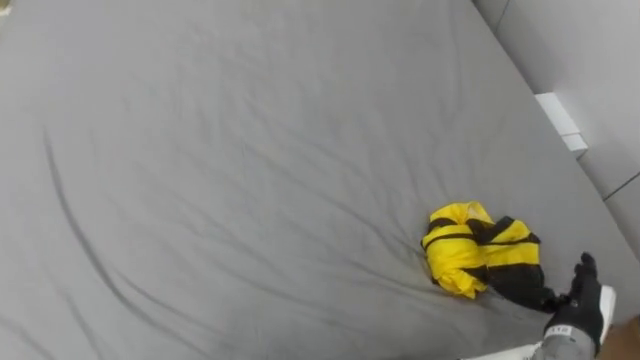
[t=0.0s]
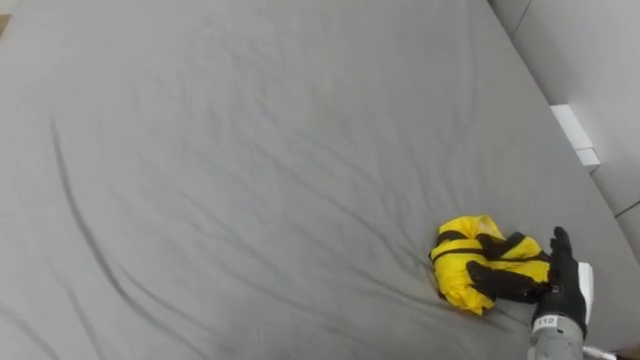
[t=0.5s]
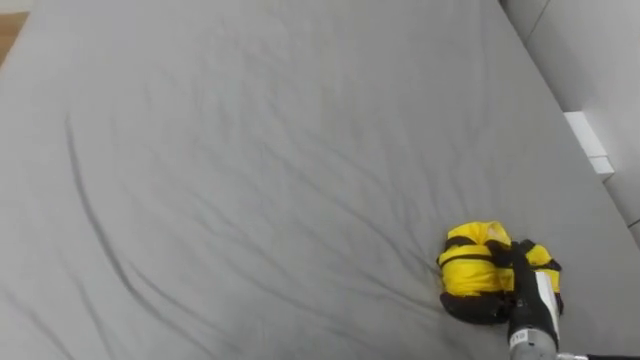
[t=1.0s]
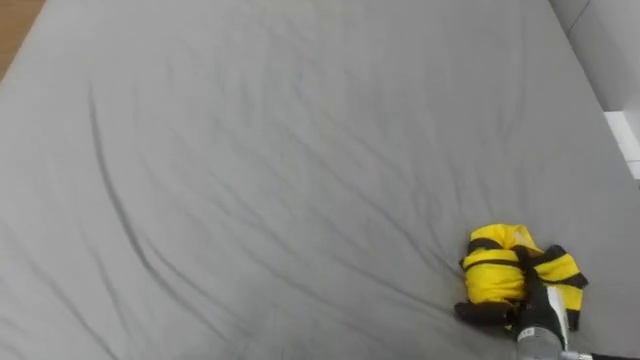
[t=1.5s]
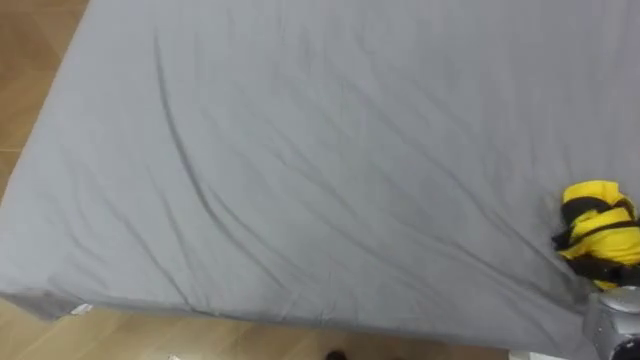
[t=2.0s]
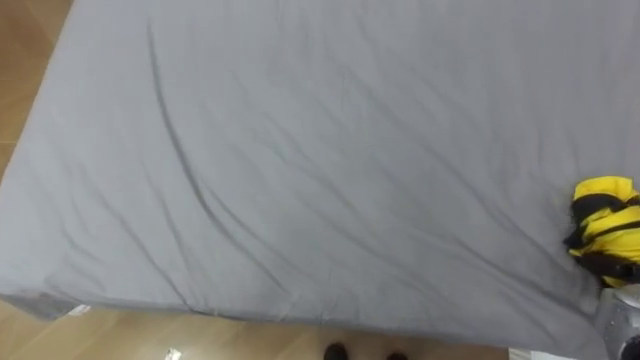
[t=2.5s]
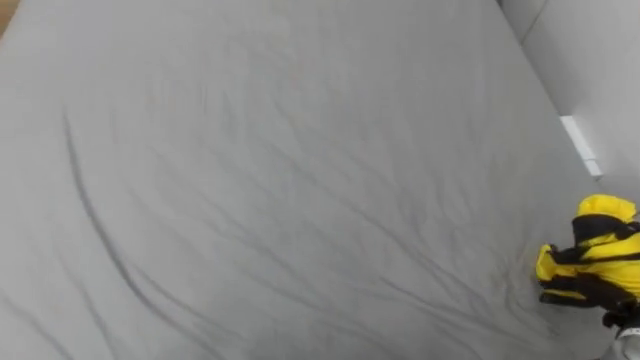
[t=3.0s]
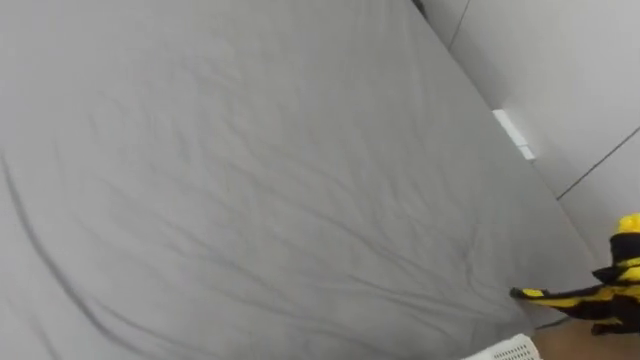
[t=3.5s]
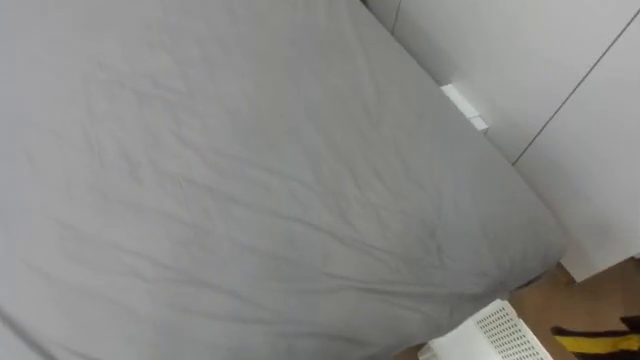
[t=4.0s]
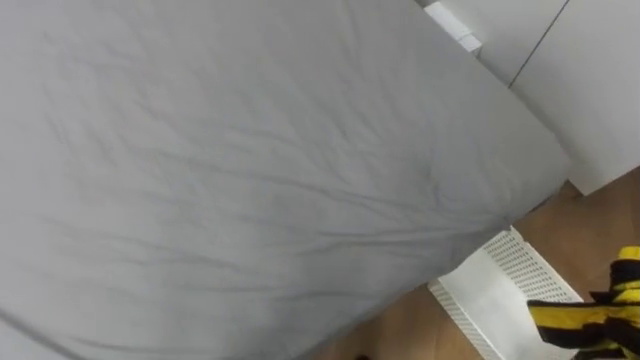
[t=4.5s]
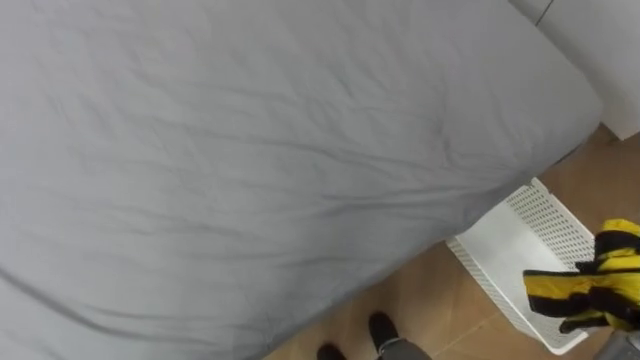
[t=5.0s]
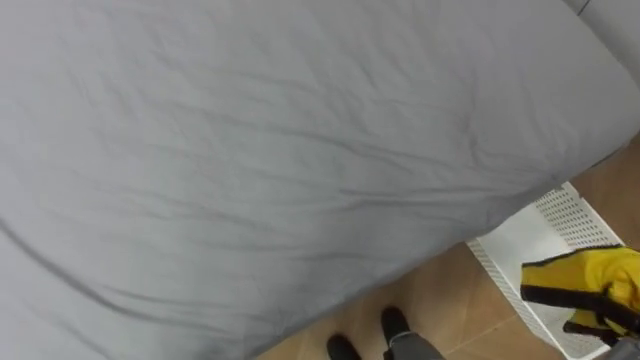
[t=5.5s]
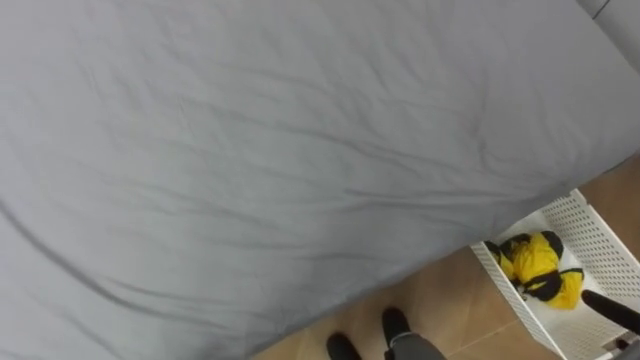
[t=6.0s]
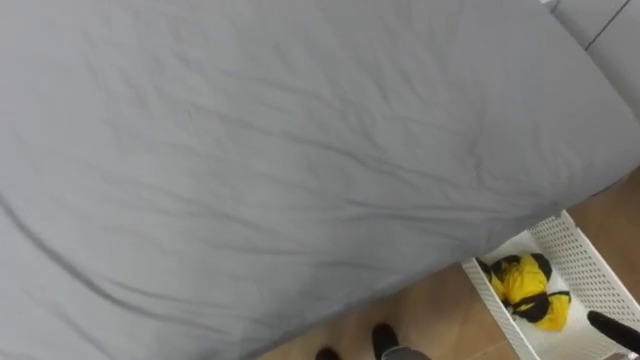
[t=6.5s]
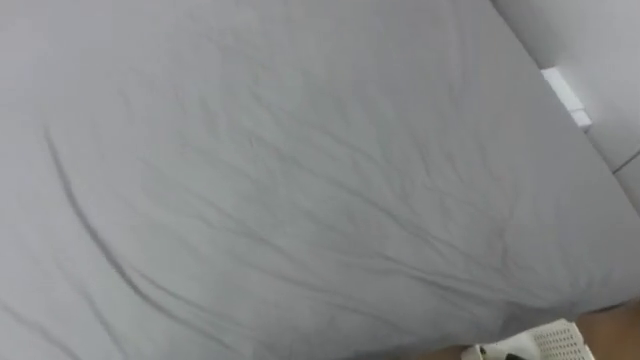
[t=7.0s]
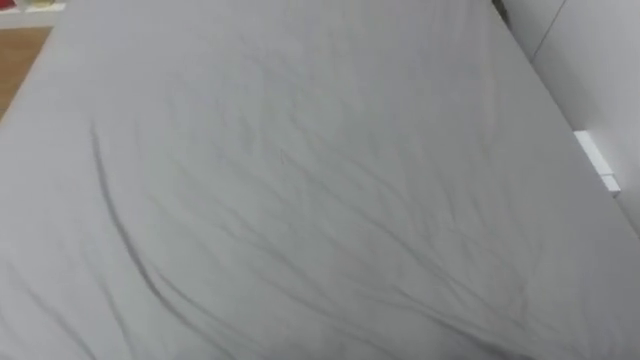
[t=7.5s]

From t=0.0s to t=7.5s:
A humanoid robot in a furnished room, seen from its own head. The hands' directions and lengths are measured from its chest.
Task of the whole recording: Pick up the yellow clothes on the bed and place them into the white basket on the right.
From t=0.0s to t=2.0s: The right hand is displaced to the right by approximately 10 cm, and closes its fingers.
From t=5.5s to t=7.5s: The robot faces about 15 degrees further to its left.

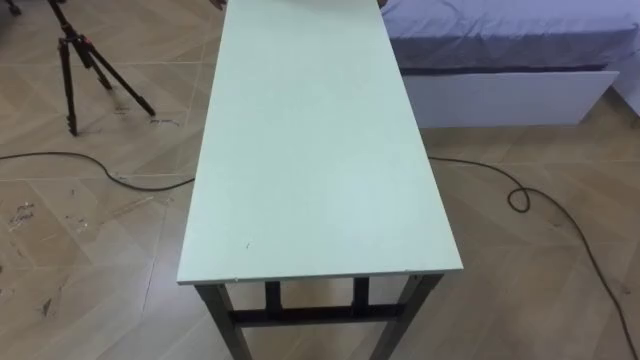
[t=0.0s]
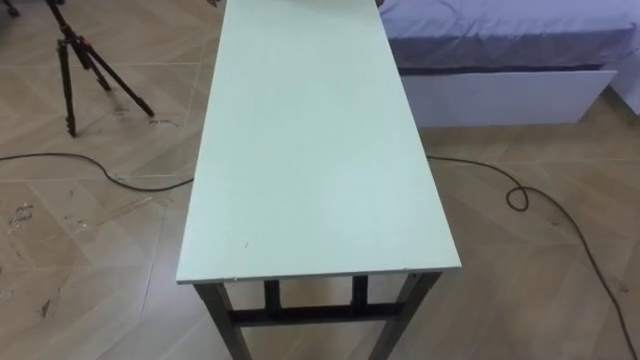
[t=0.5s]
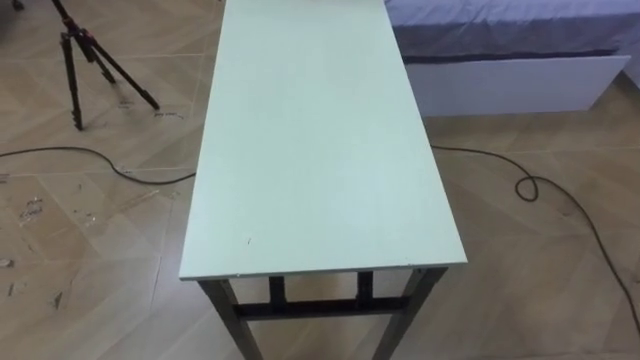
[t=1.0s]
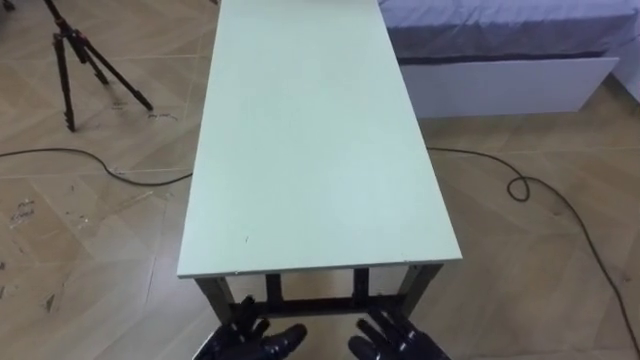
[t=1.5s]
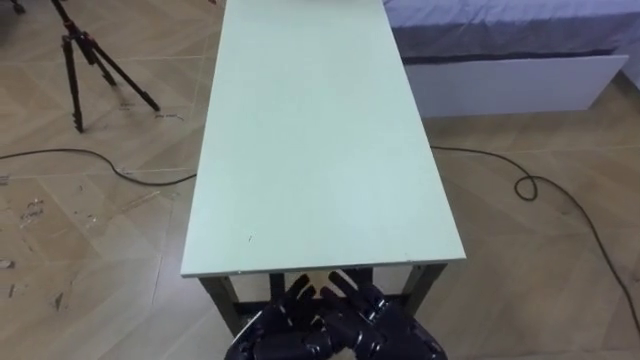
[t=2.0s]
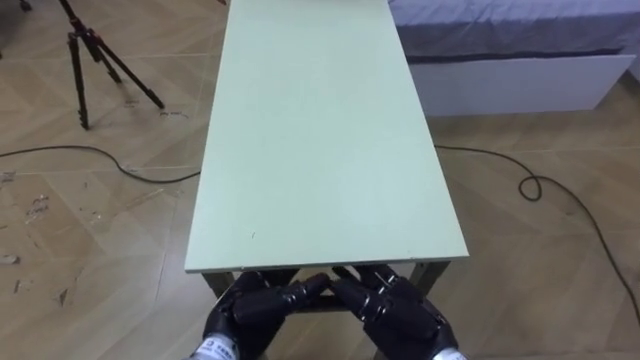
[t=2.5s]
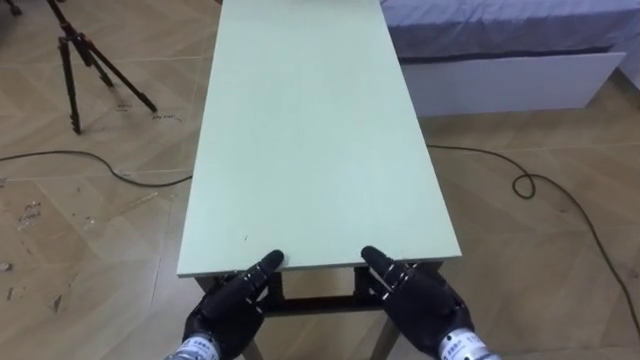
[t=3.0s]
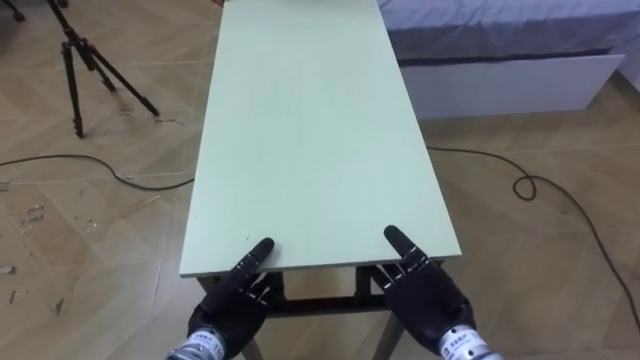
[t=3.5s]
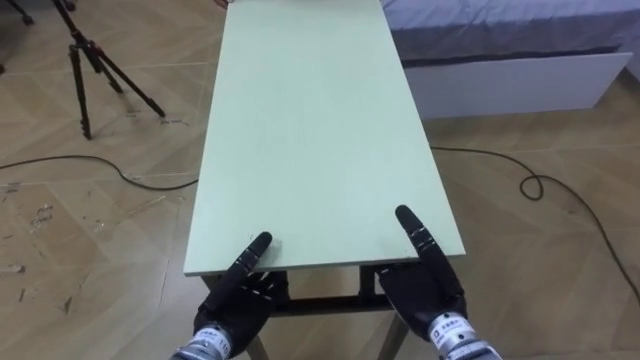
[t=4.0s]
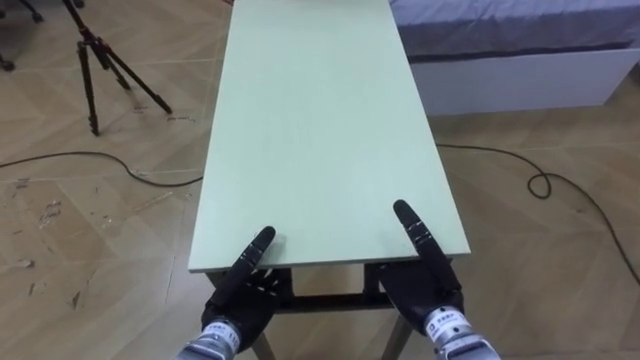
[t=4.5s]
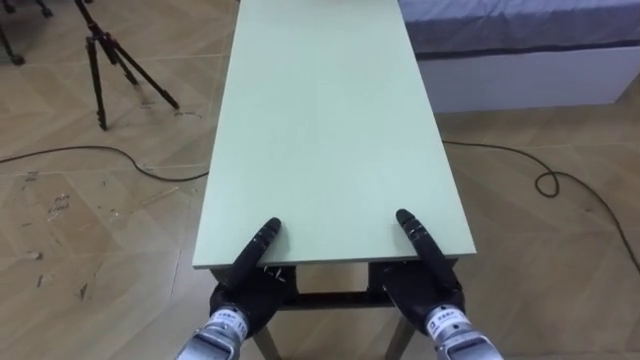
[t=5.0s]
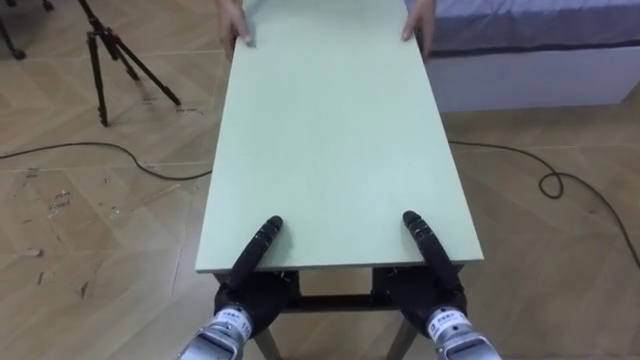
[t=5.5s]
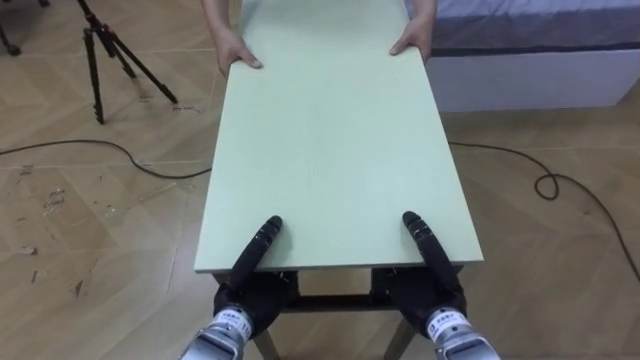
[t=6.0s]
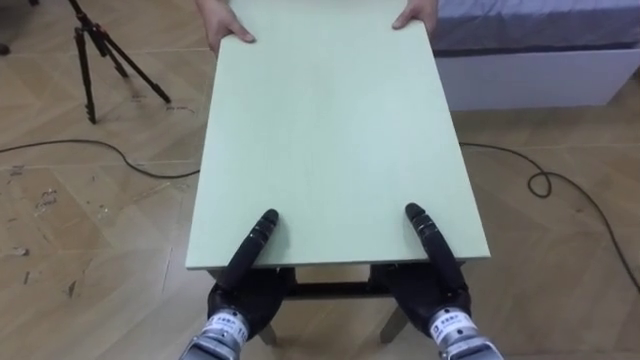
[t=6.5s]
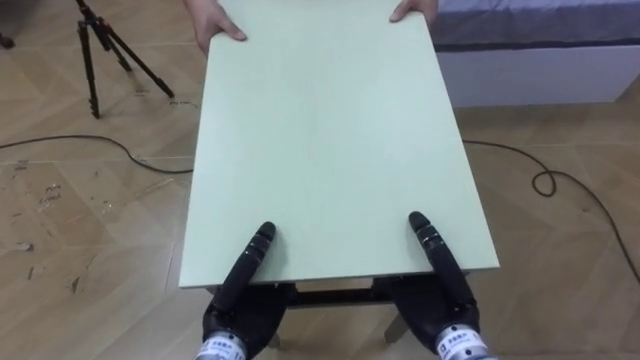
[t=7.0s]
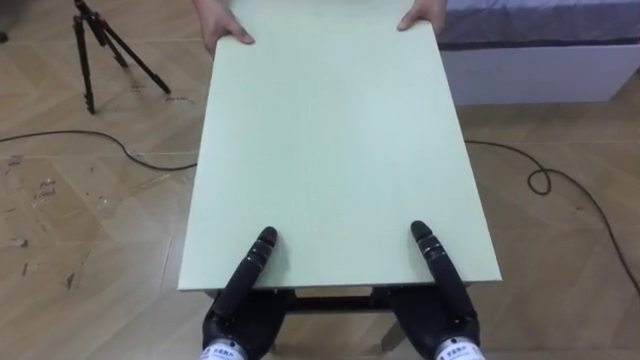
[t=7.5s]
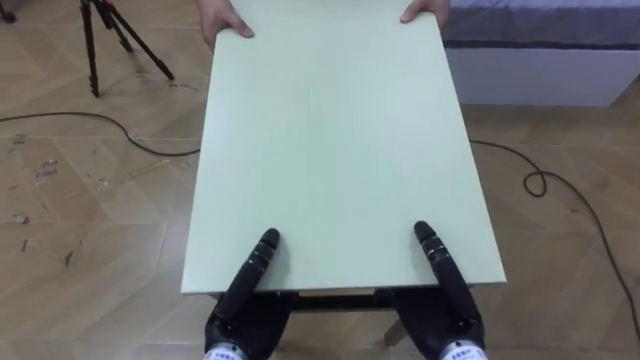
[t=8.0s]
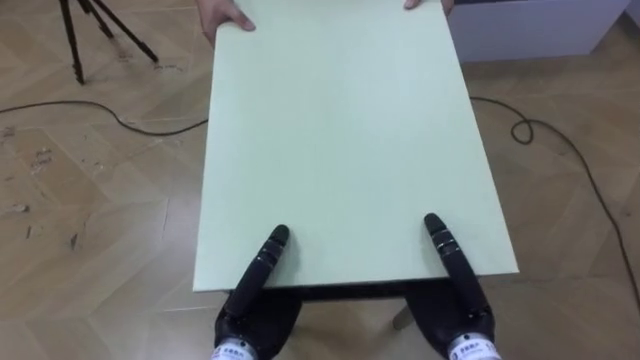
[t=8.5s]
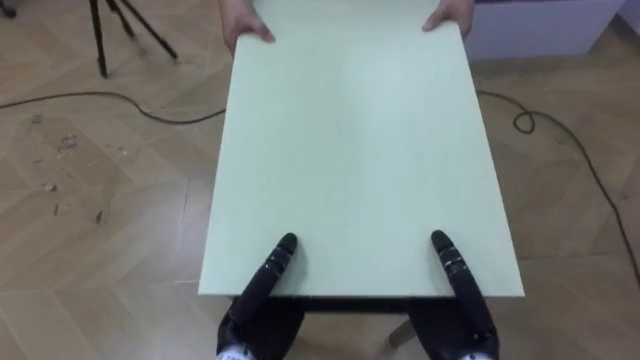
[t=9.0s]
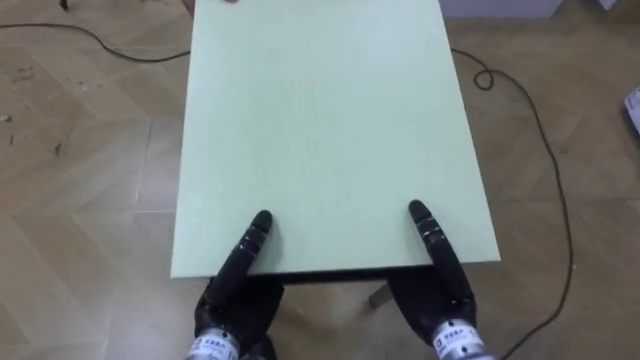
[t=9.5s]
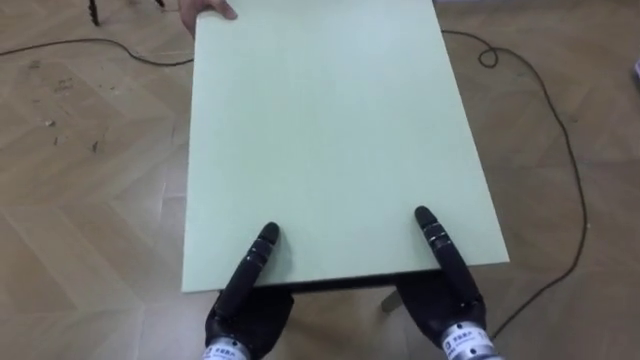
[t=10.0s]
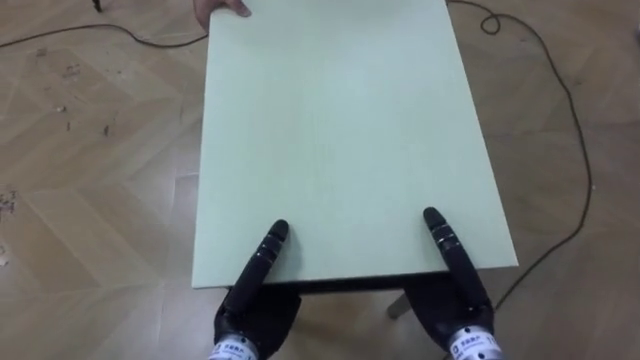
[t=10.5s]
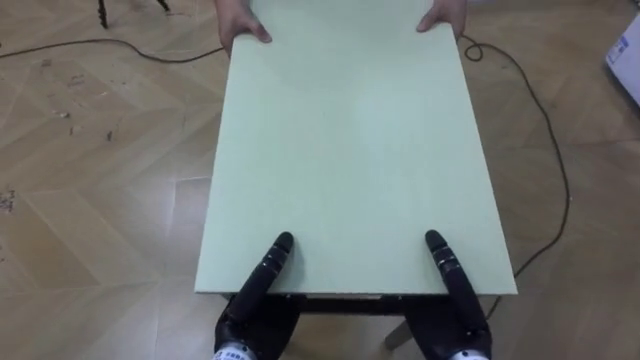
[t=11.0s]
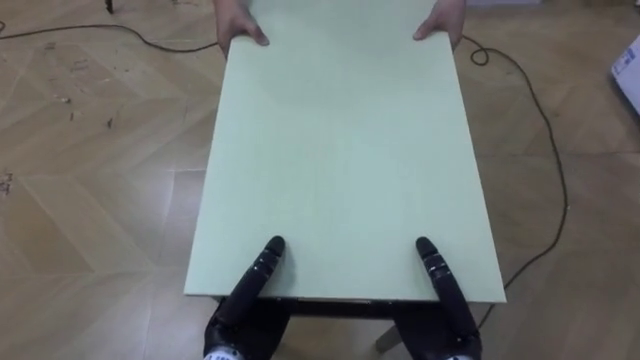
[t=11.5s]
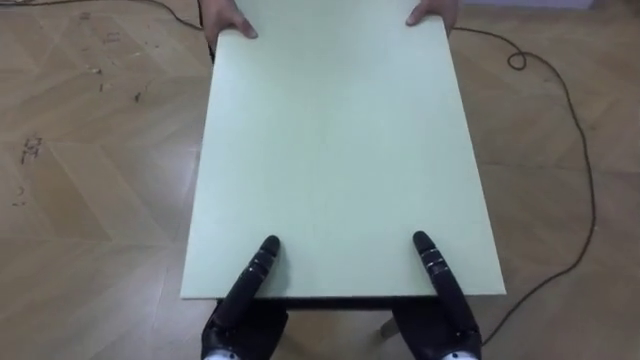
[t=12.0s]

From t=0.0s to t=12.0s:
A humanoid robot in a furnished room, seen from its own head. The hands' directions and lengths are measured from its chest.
Task of the whole recording: Move the table to the back left with someone.
From t=2.0s to t=4.0s: The right hand moves forward, roughly 5 cm. Meanwhile the left hand goes roughly 5 cm forward and to the left.
From t=4.0s to t=6.0s: The right hand closes up. Meanwhile the left hand closes its fingers.
From t=6.0s to t=8.0s: The left hand ends up about 5 cm from where it was.
